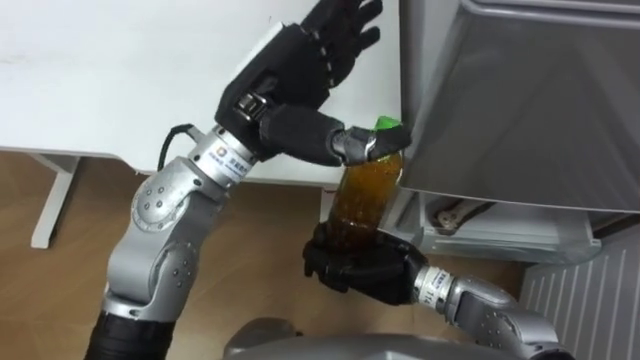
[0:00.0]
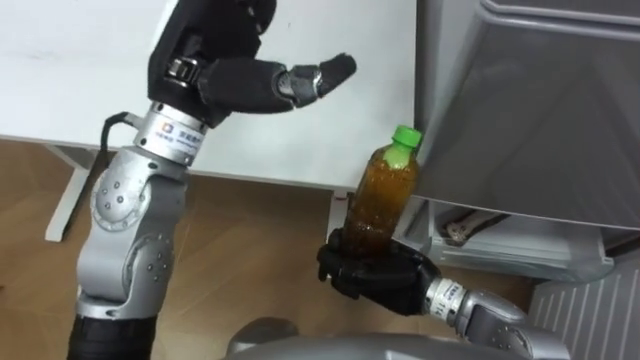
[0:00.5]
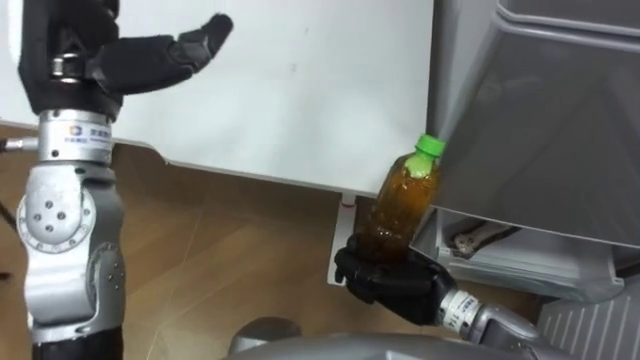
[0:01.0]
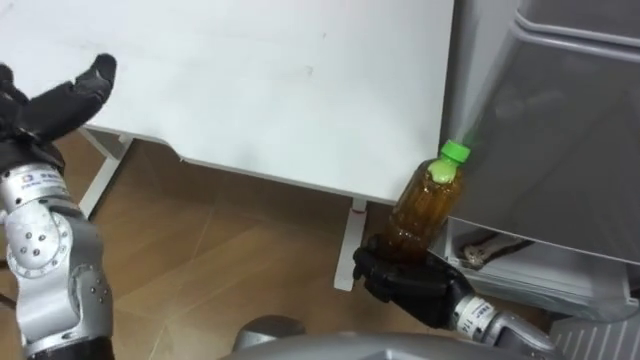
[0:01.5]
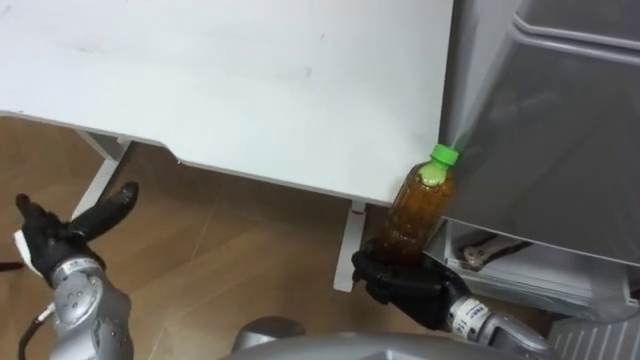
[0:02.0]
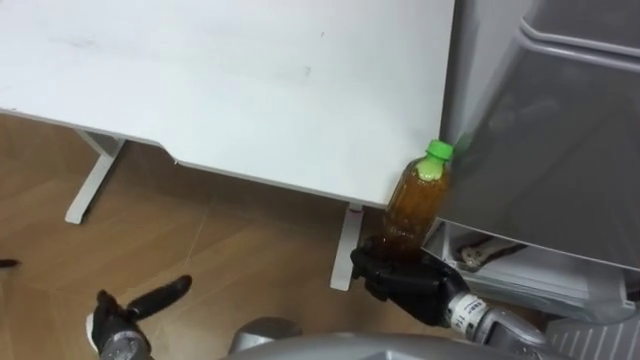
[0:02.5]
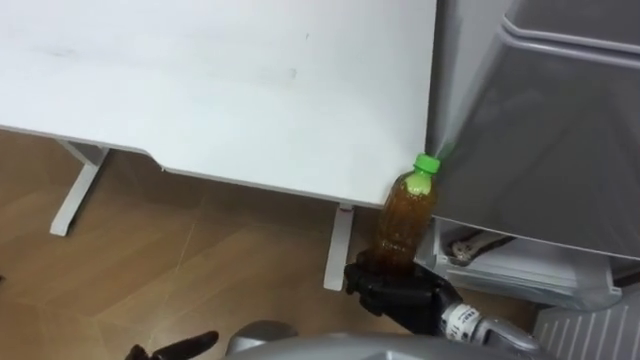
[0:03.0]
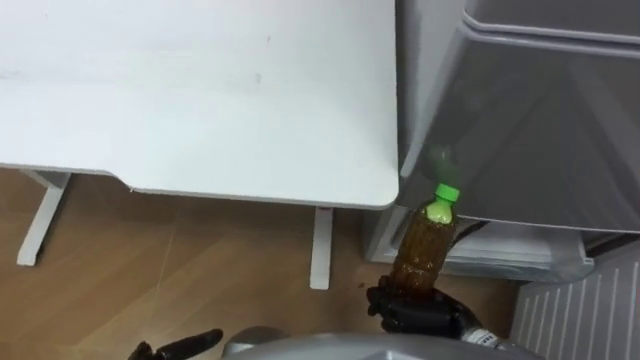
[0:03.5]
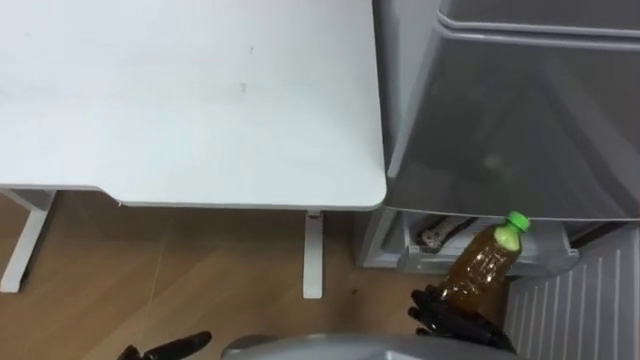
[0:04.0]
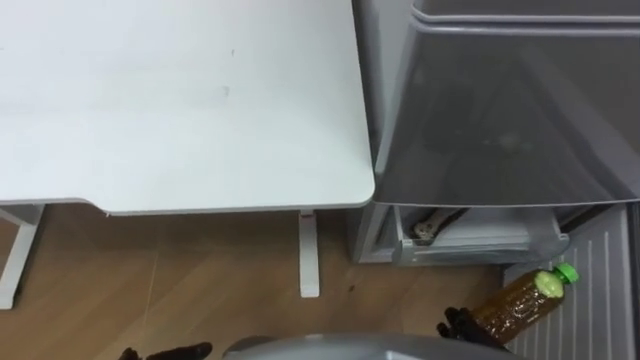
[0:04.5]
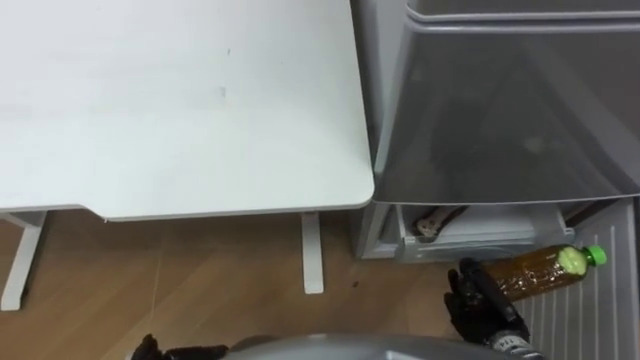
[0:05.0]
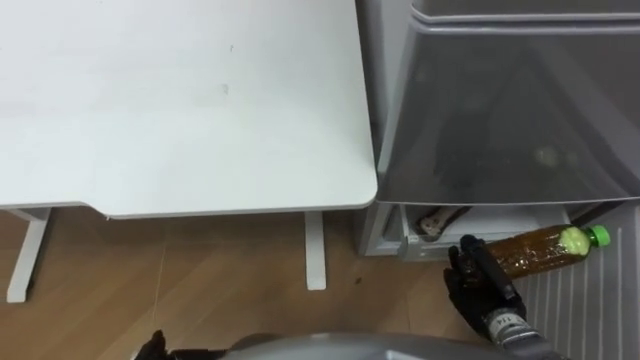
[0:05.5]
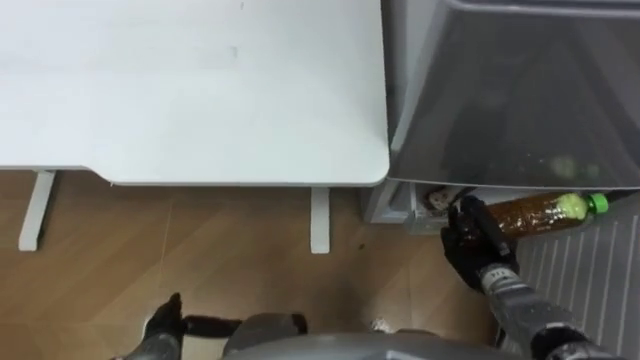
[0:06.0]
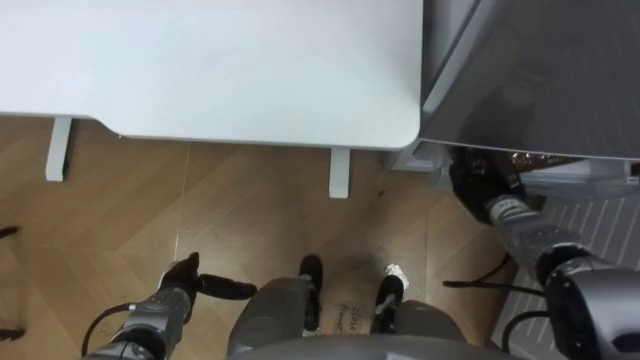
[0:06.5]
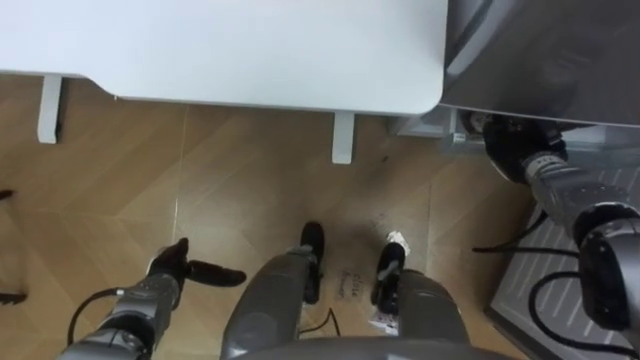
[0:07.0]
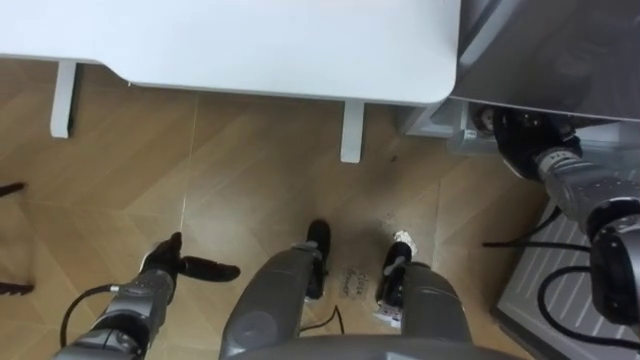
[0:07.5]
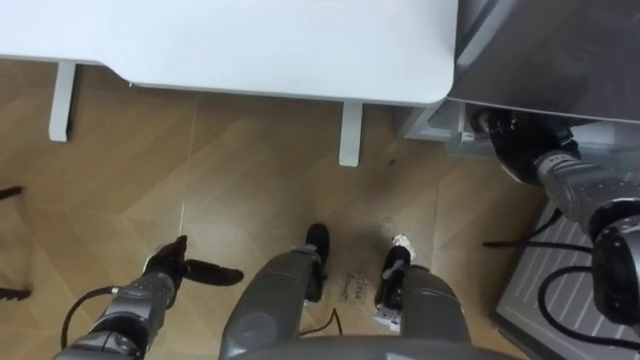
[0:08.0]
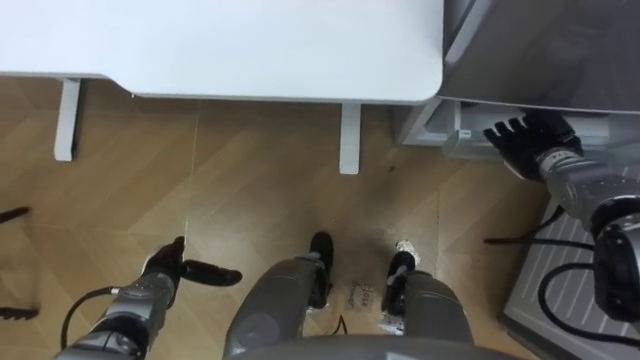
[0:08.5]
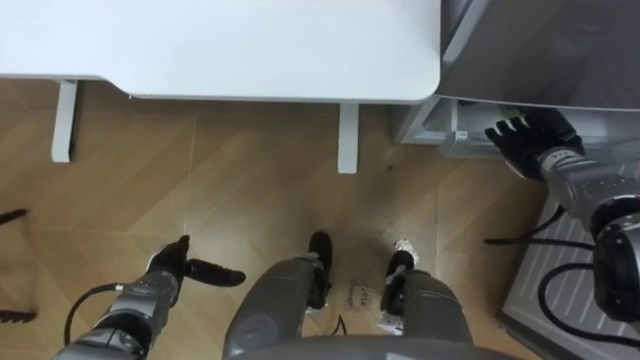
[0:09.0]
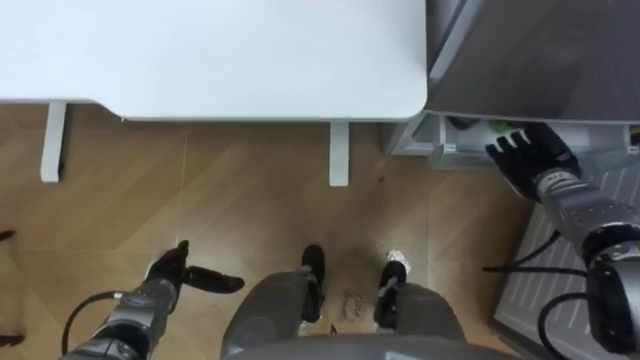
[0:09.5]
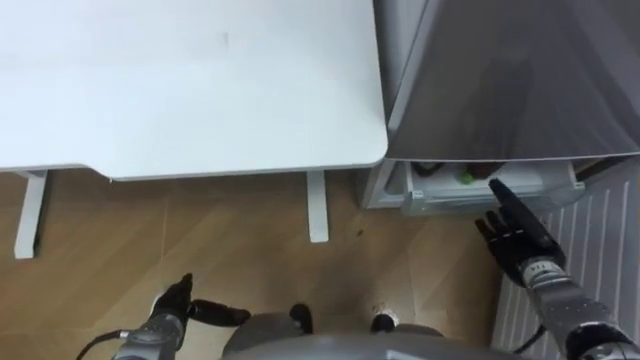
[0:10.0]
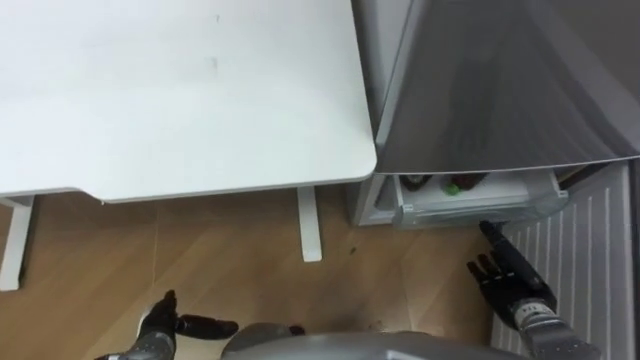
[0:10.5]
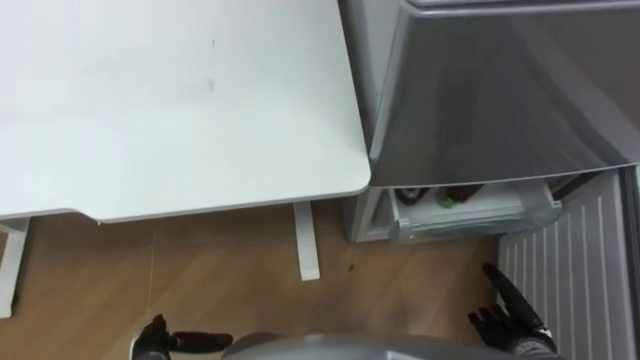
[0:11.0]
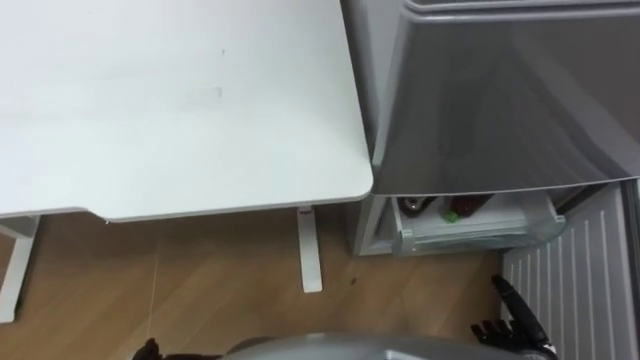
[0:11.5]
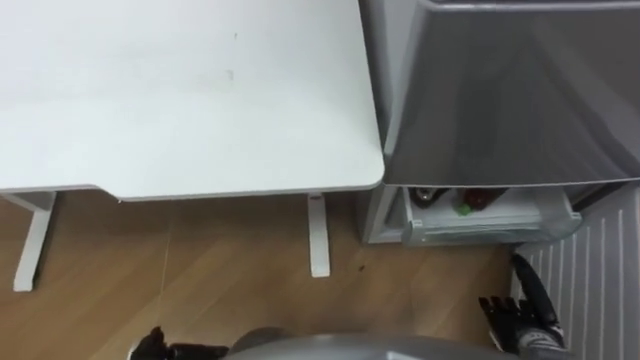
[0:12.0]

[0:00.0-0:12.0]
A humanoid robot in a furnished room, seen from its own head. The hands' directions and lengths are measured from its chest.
Task of the whole recording: Place the drink on the table on the bottom shelf of the refrigerator, then close the drawer and the refrigerator door.
0:00.0 to 0:02.0: The right hand is displaced to the right by approximately 5 cm.
0:02.0 to 0:04.0: The right hand is displaced backward, to the right and downward by roughly 10 cm.
0:06.0 to 0:08.0: The right hand heads forward, upward and to the right, covering some 20 cm; the left hand is displaced forward by approximately 10 cm.
0:08.0 to 0:10.0: The right hand is displaced backward and downward by about 15 cm, and opens up. Meanwhile the left hand moves backward, about 5 cm.
0:10.0 to 0:12.0: The right hand is displaced backward and downward by some 15 cm.

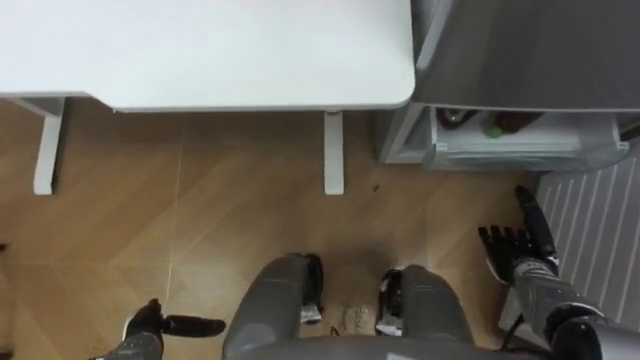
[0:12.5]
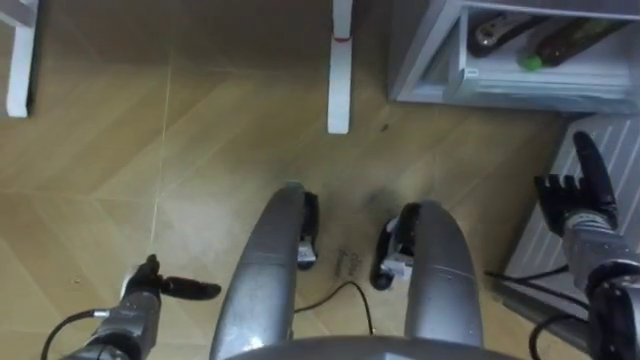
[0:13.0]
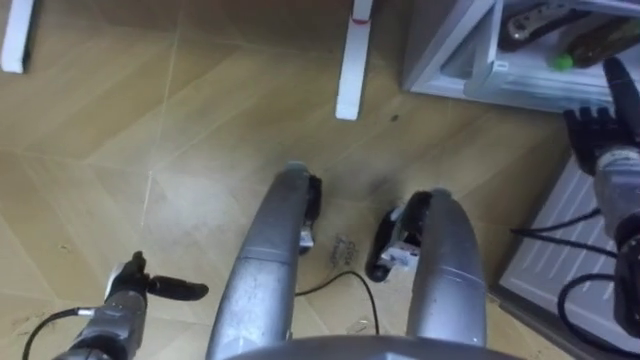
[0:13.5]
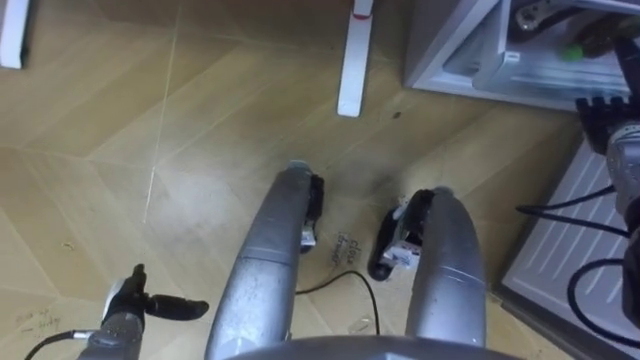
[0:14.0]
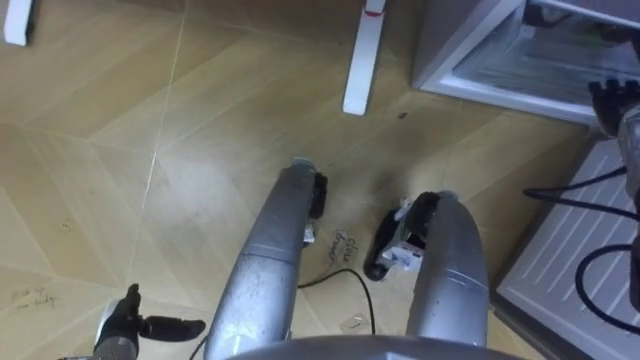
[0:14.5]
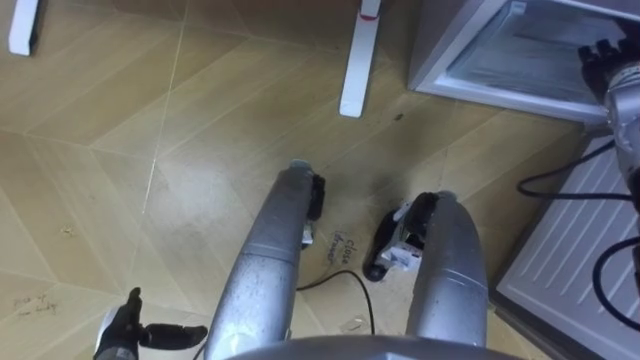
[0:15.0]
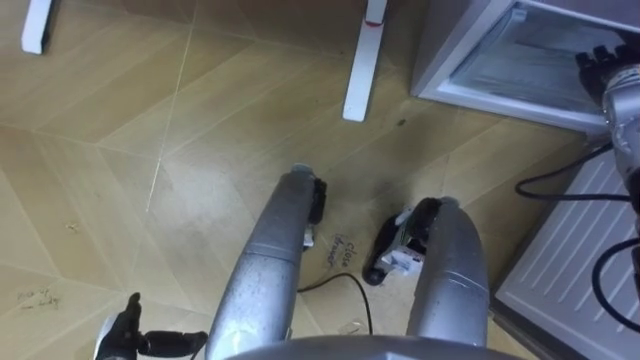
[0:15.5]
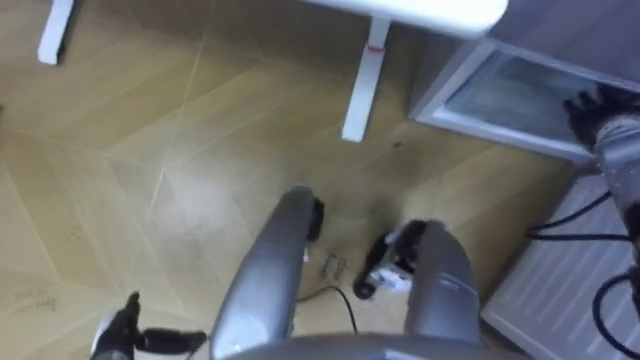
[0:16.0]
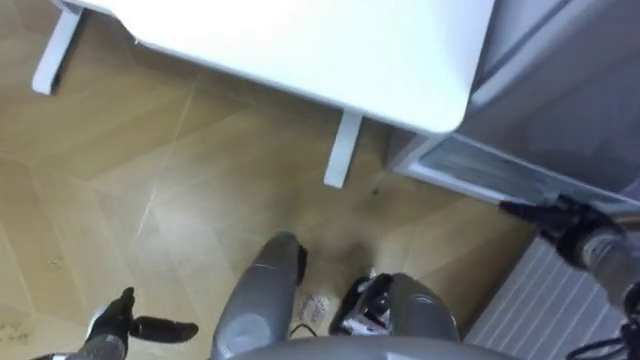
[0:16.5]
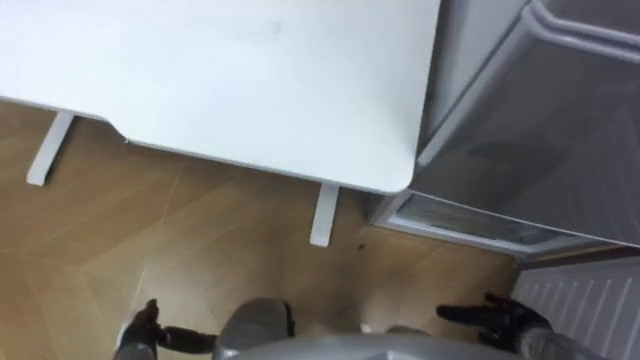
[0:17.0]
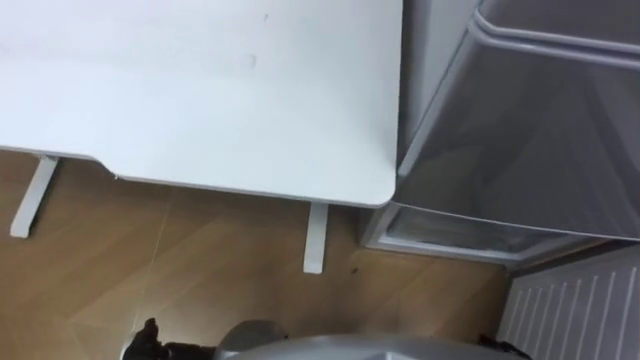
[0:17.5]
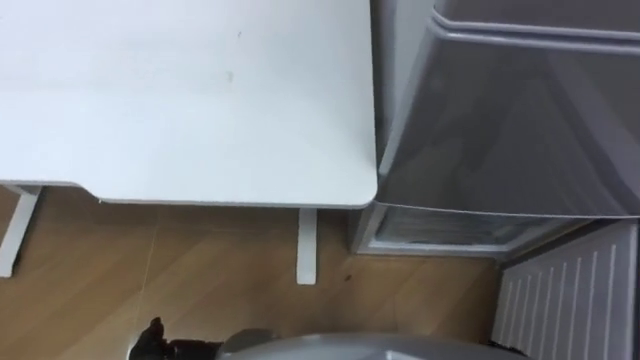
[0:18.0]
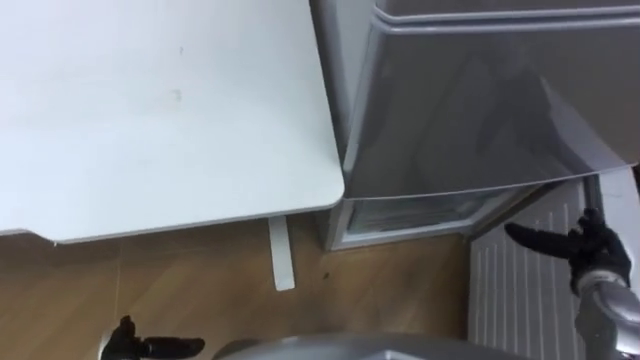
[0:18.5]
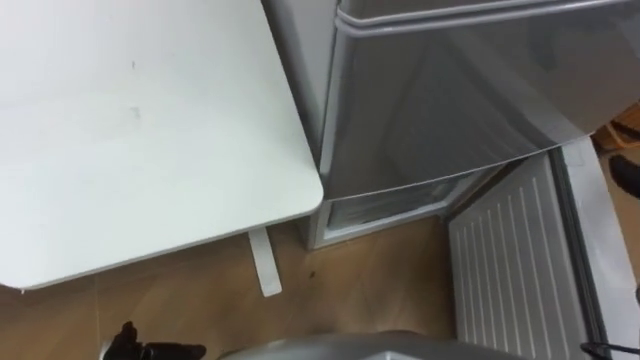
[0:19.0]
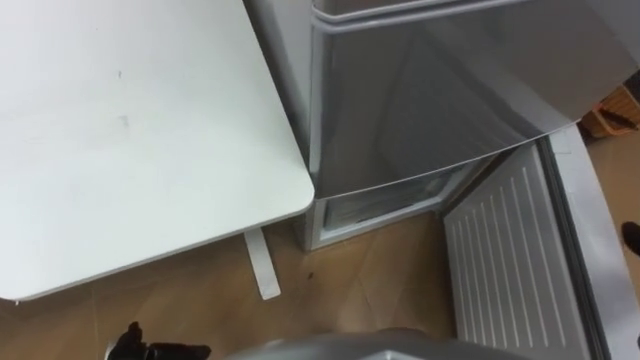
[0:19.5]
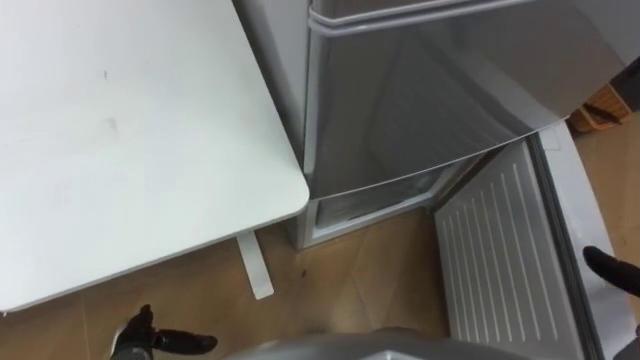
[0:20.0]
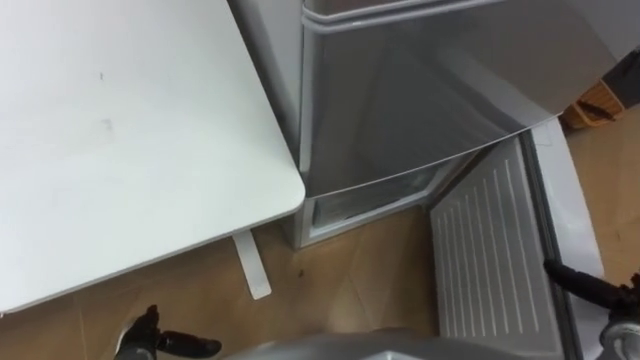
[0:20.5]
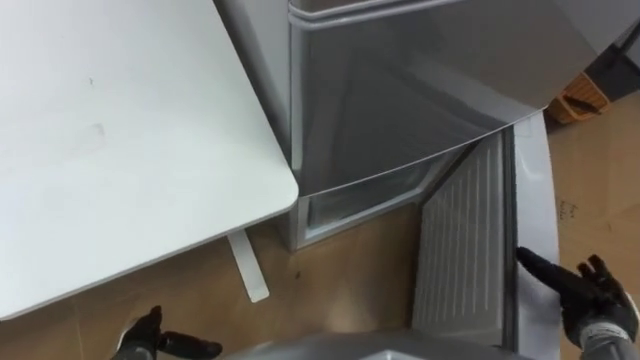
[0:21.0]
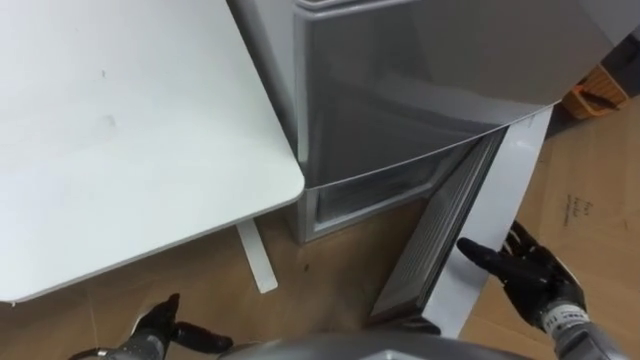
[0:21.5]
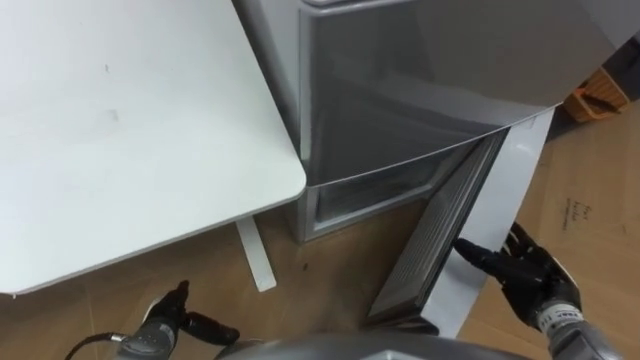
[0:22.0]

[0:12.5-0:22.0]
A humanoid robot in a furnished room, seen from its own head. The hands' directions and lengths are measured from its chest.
Task of the whole recording: Place the drink on the table on the bottom shelf of the refrigerator, then close the drawer and the refrigerator door.
0:12.5 to 0:14.5: The right hand moves upward, forward and to the right, some 25 cm.
0:14.5 to 0:16.5: The right hand goes some 20 cm backward and downward.
0:20.0 to 0:22.0: The left hand changes place by roughly 5 cm.
